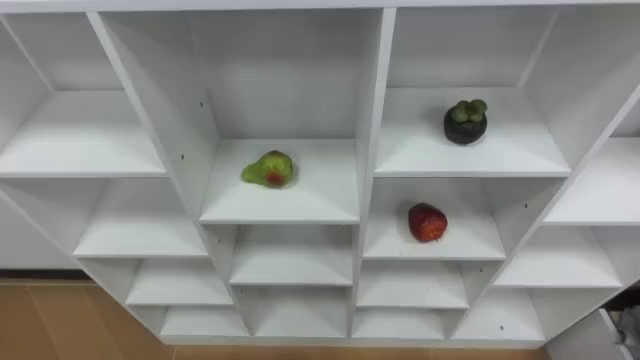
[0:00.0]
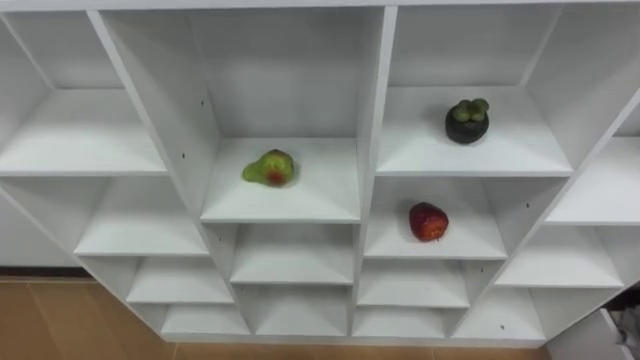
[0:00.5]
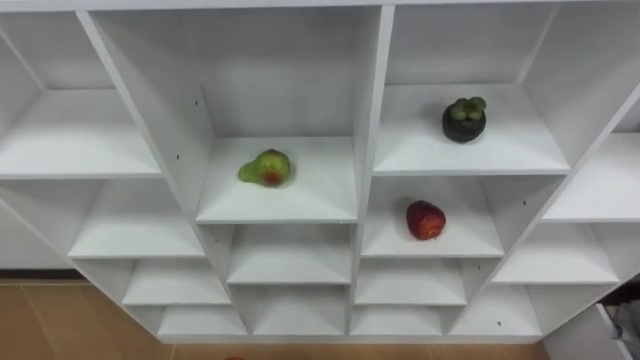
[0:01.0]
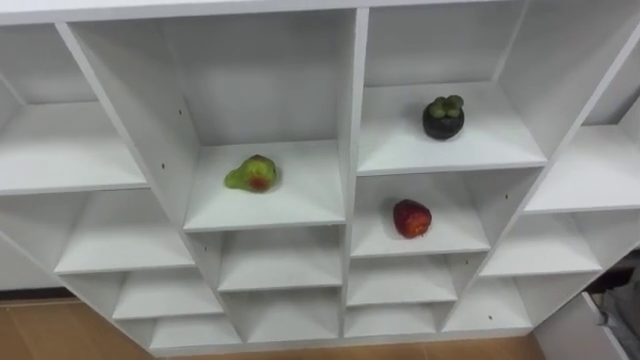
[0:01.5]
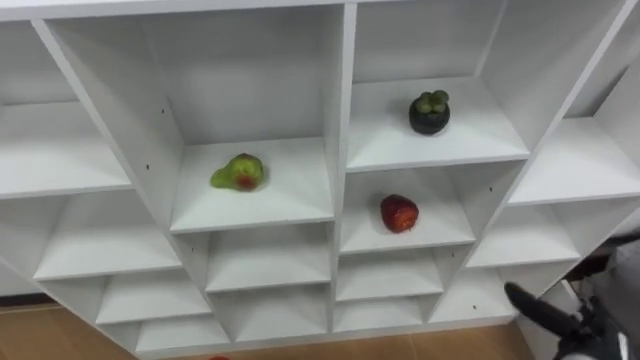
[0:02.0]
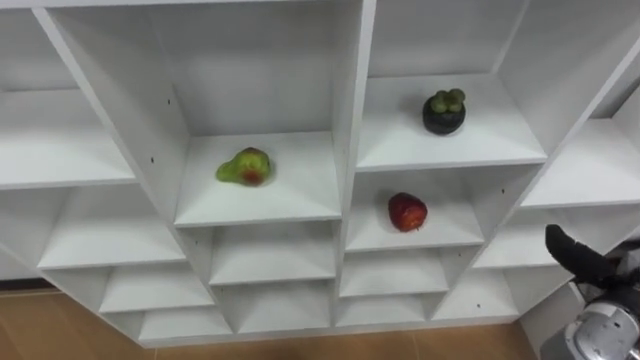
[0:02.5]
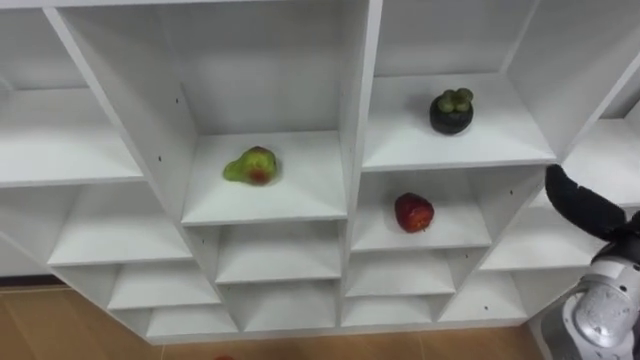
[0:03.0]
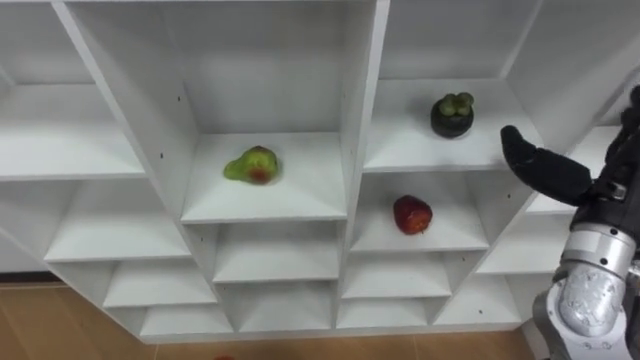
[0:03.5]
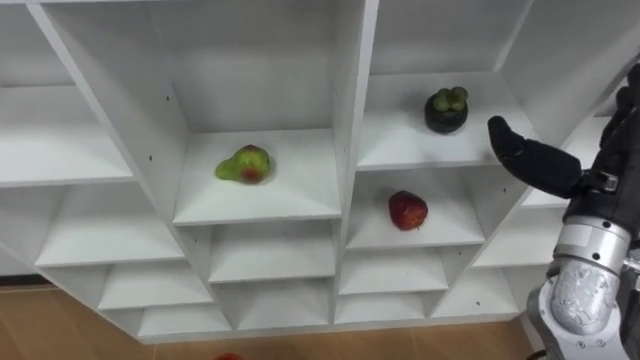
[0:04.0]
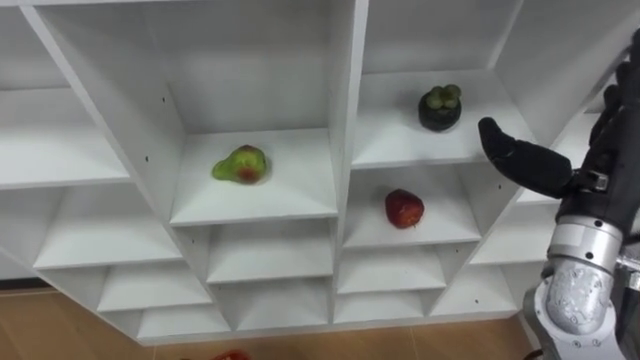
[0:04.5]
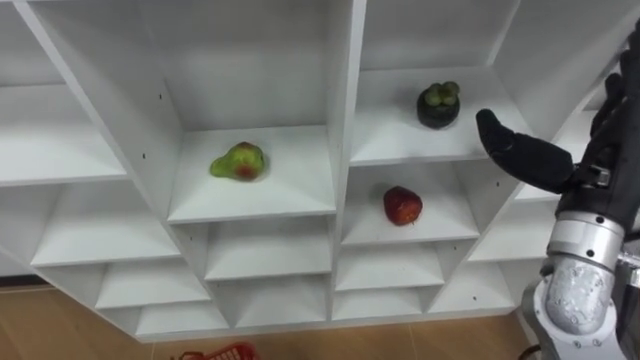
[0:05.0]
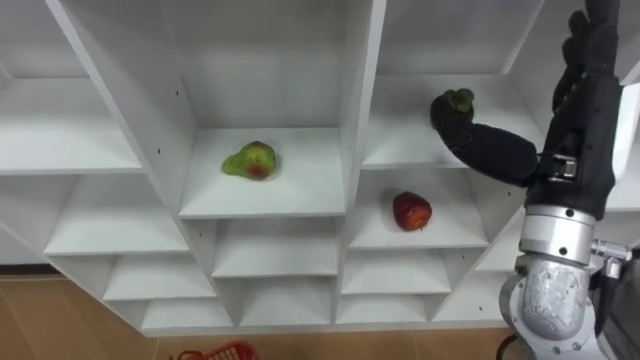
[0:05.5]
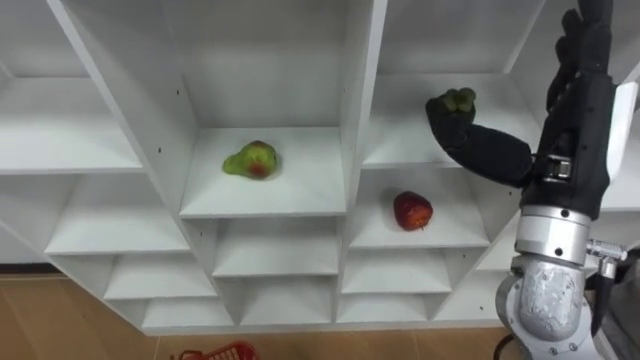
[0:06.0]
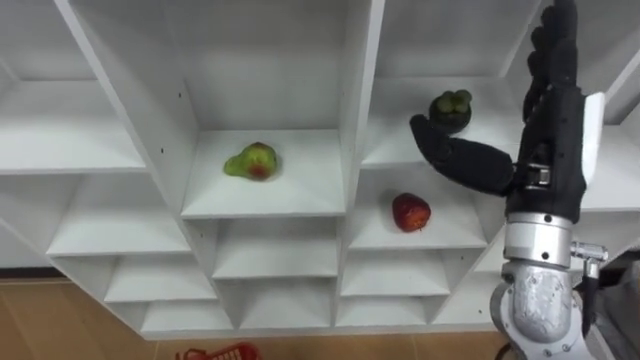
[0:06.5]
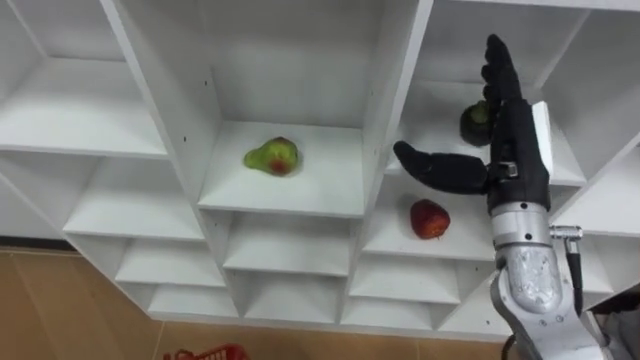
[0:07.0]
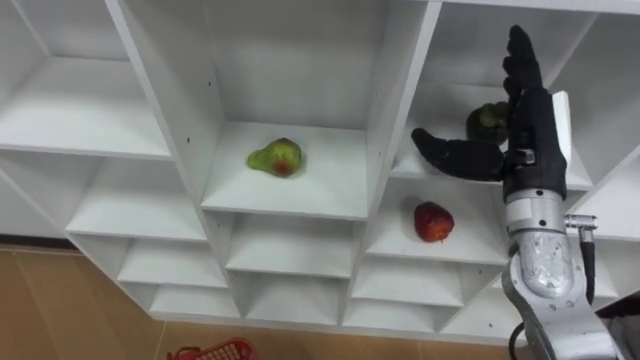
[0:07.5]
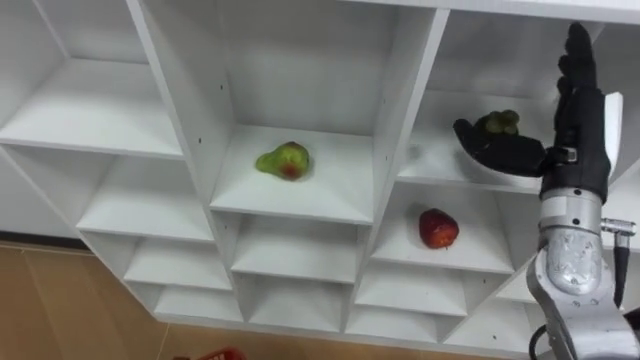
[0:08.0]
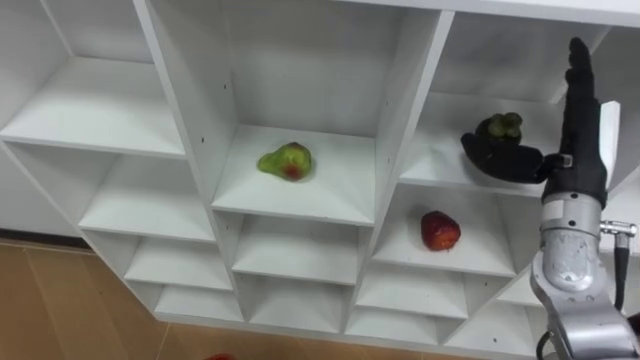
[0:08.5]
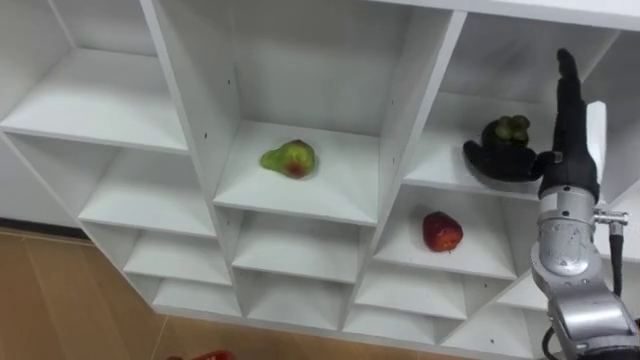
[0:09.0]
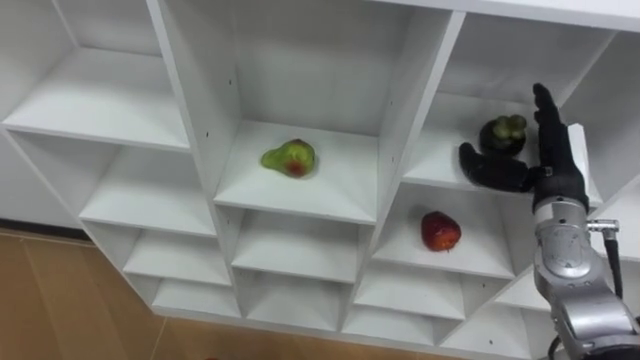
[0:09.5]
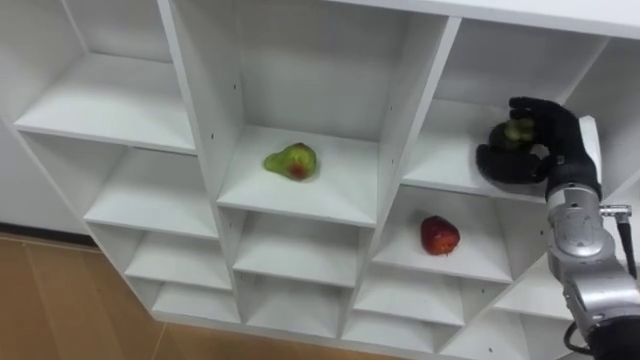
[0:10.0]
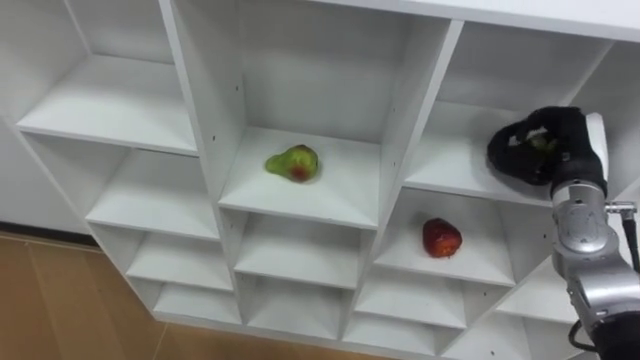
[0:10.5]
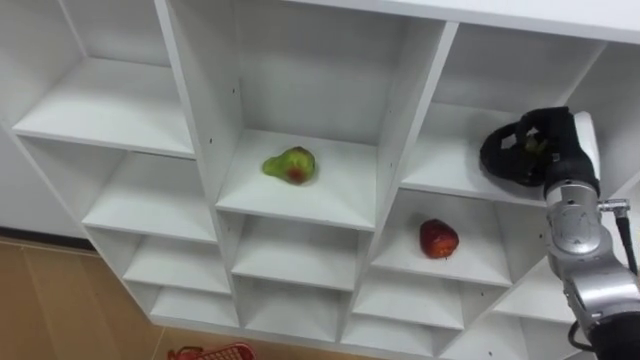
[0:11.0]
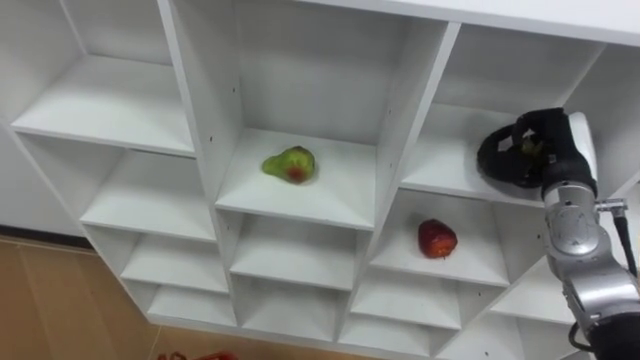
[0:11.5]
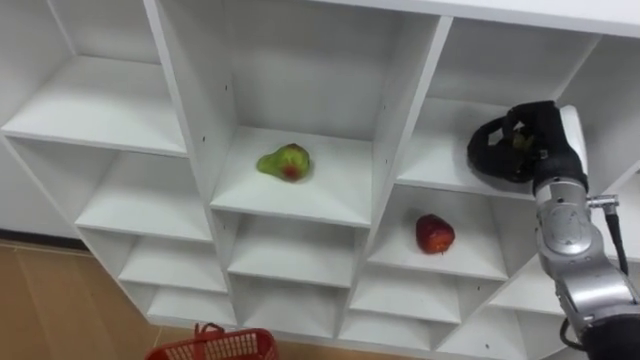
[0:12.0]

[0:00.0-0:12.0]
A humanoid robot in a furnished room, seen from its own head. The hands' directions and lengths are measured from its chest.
Task of the whole recording: Hold the basket and collect the fruits from 3 different cells of the closet into it.
0:02.0 to 0:04.0: The right hand moves upward and forward, roughly 30 cm.
0:04.0 to 0:06.0: The right hand heads to the left, covering roughly 5 cm.
0:06.0 to 0:08.0: The right hand shifts roughly 5 cm downward.
0:08.0 to 0:10.0: The right hand shifts some 10 cm downward.
0:10.0 to 0:12.0: The right hand closes its fingers.

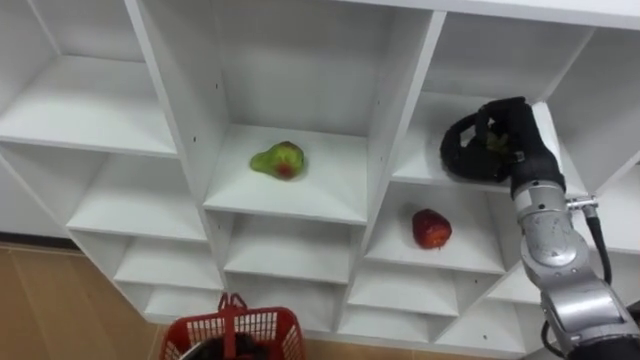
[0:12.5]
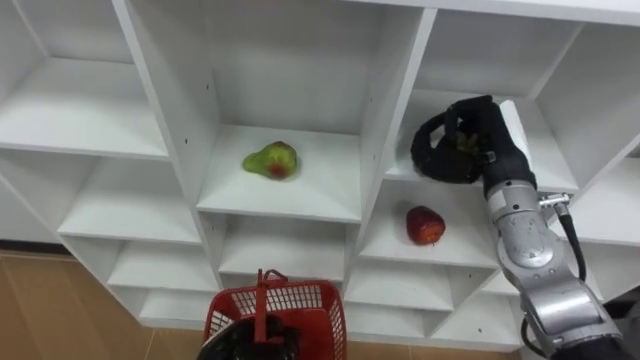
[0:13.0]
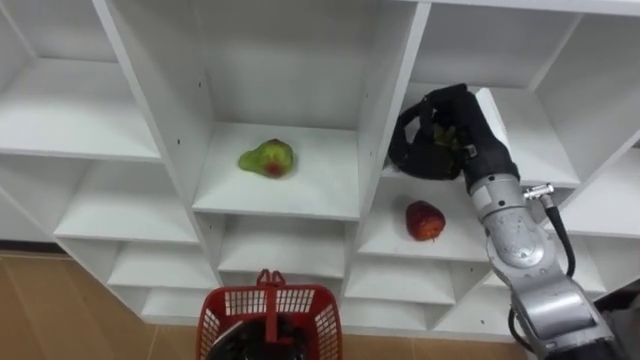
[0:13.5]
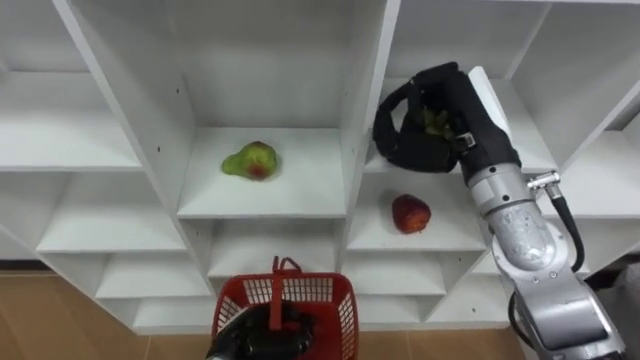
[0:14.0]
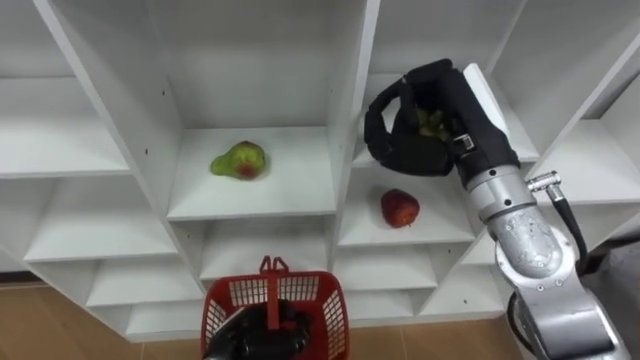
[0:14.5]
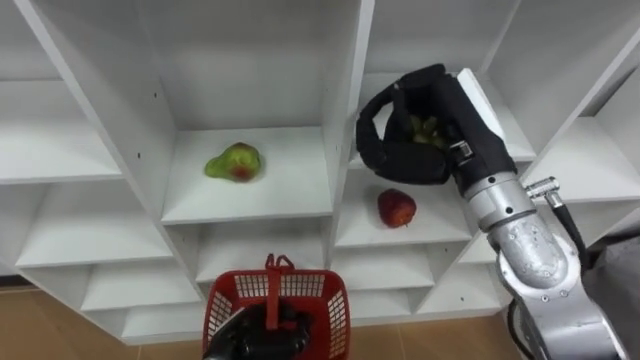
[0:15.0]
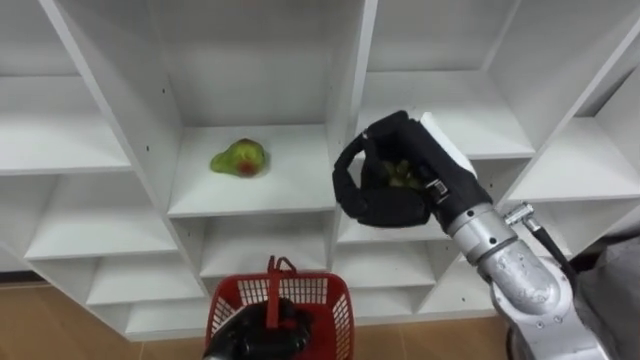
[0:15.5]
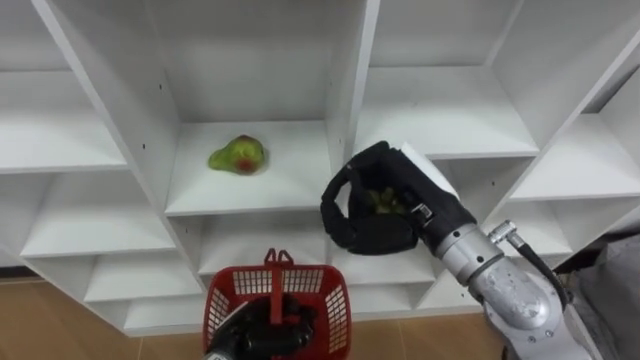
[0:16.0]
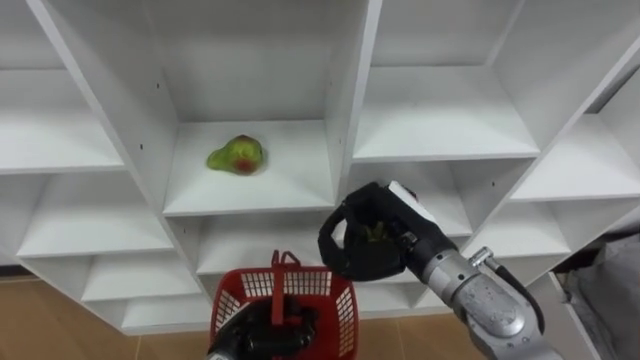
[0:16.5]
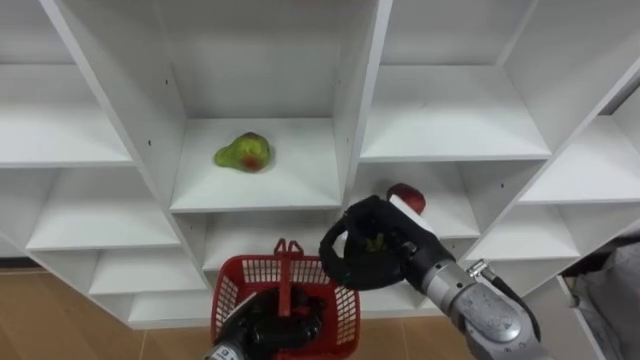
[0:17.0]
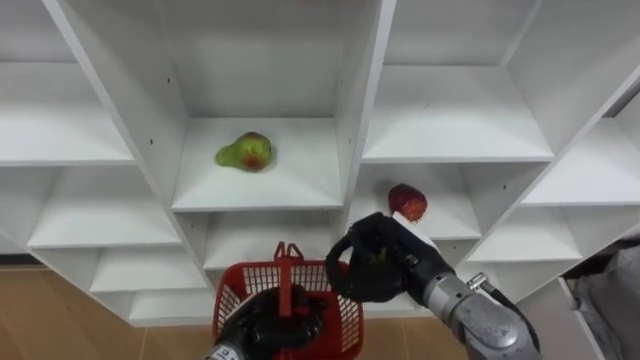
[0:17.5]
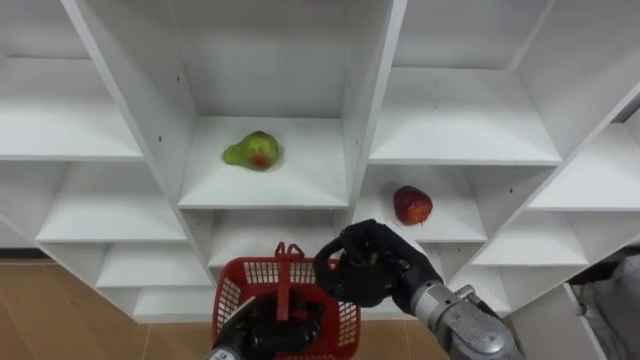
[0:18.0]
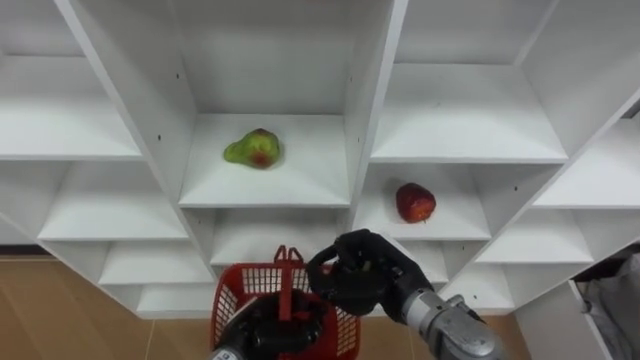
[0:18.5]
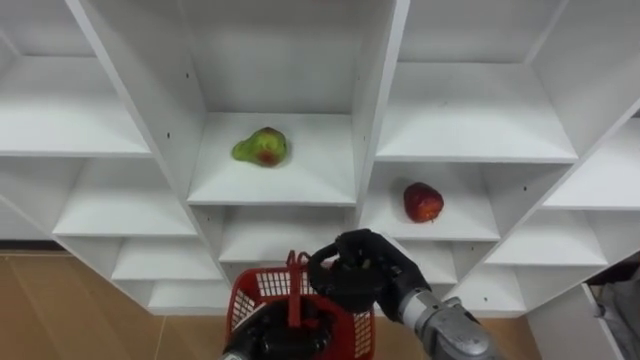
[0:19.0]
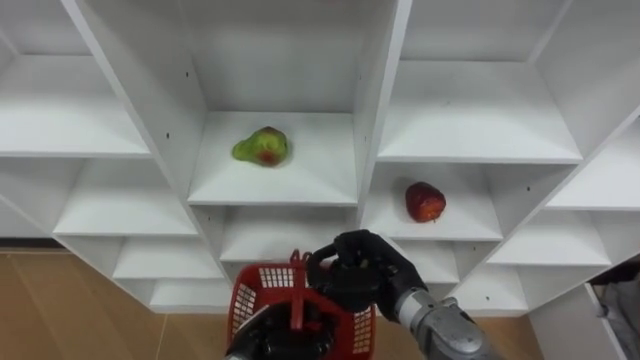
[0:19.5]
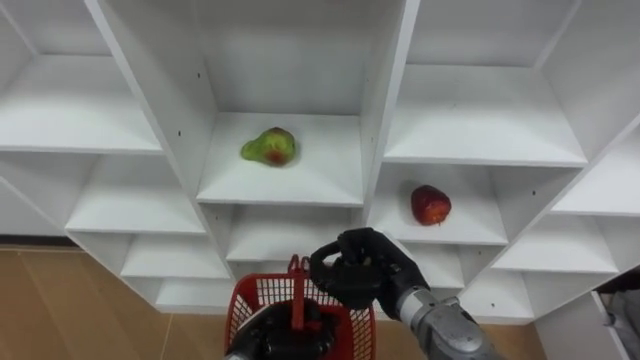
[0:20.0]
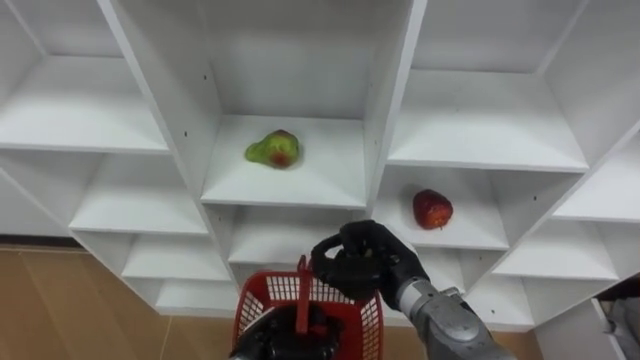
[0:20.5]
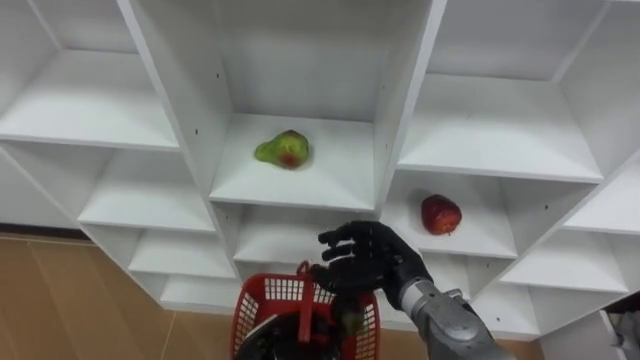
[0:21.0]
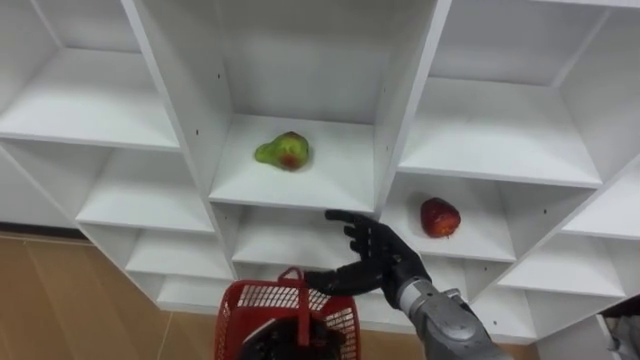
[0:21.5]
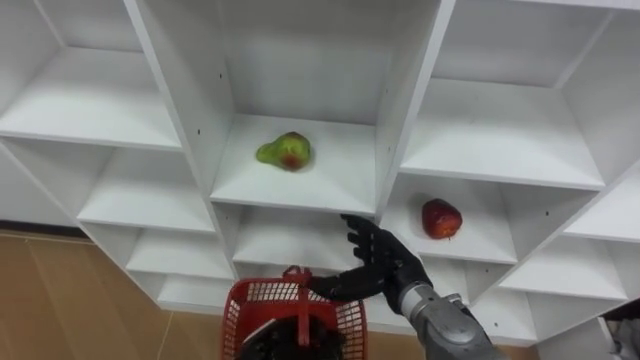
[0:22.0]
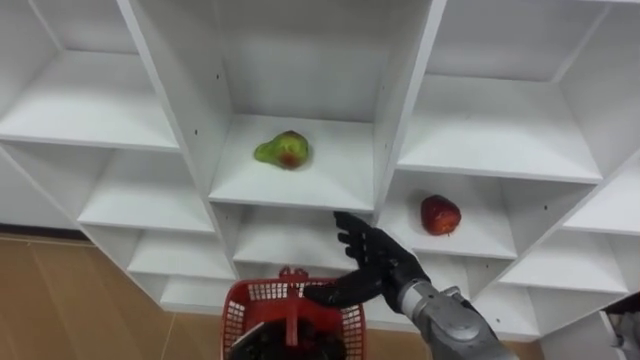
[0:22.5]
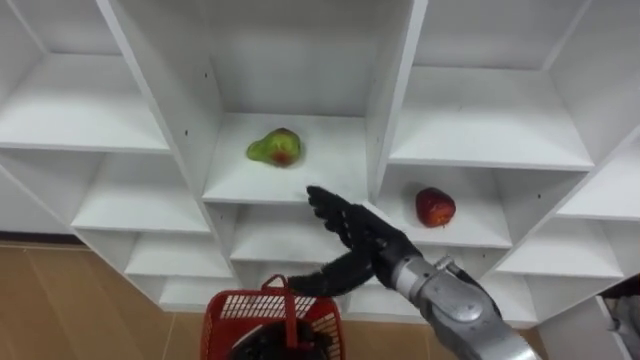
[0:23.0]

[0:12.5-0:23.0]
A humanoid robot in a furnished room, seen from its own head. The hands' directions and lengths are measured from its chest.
Task of the whole recording: Hold the basket and collect the fruits from 3 different cells of the closet into it.
0:12.5 to 0:14.5: The right hand travels to the left and upward by some 10 cm.
0:14.5 to 0:16.5: The right hand is displaced downward by some 10 cm.
0:16.5 to 0:19.0: The right hand moves downward, approximately 10 cm.
0:21.0 to 0:23.0: The right hand opens its fingers.
